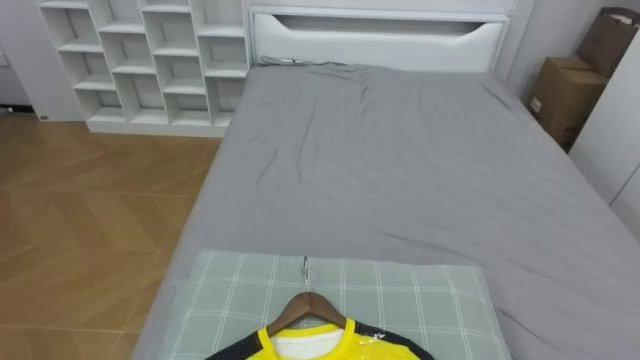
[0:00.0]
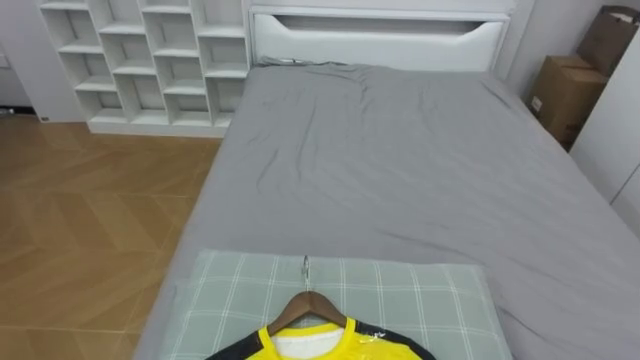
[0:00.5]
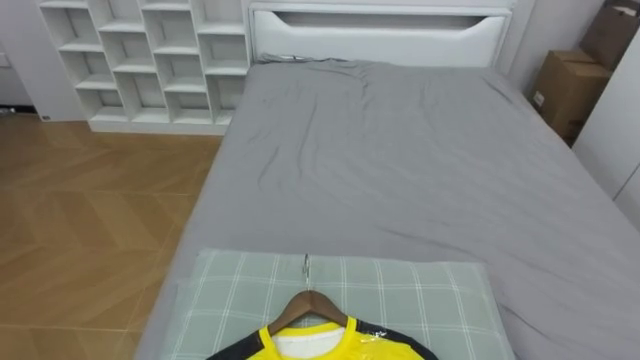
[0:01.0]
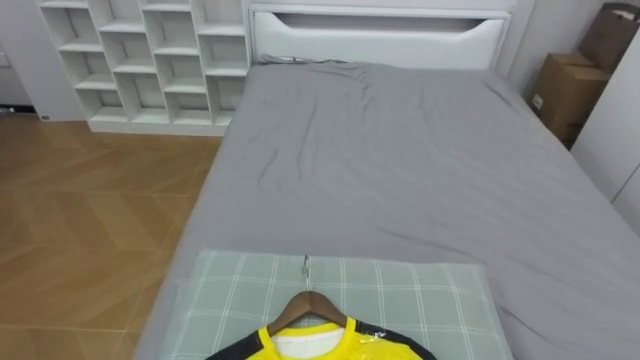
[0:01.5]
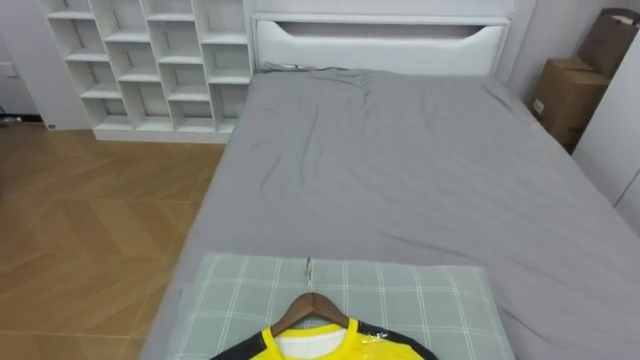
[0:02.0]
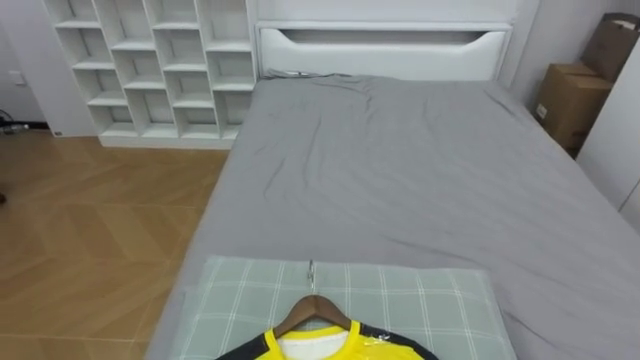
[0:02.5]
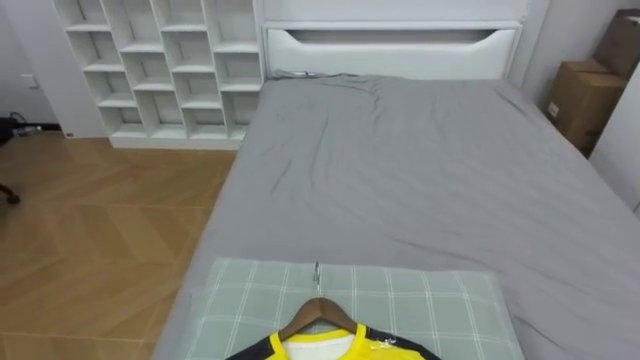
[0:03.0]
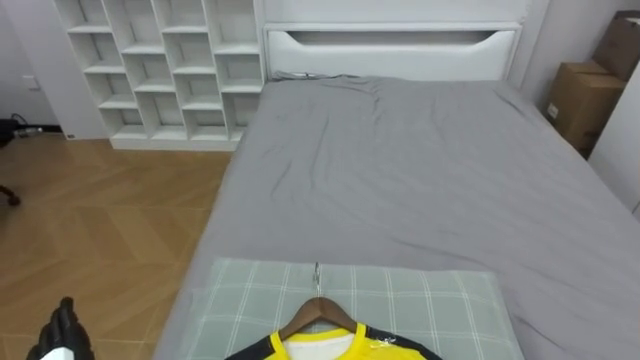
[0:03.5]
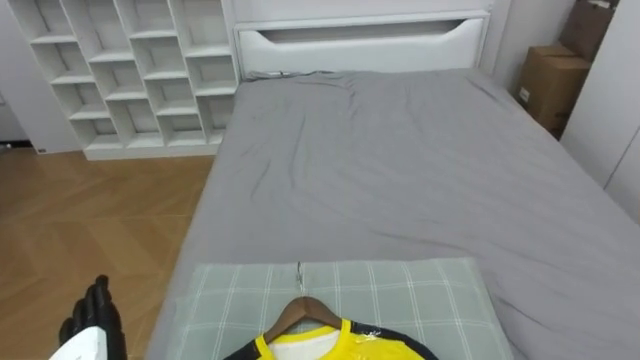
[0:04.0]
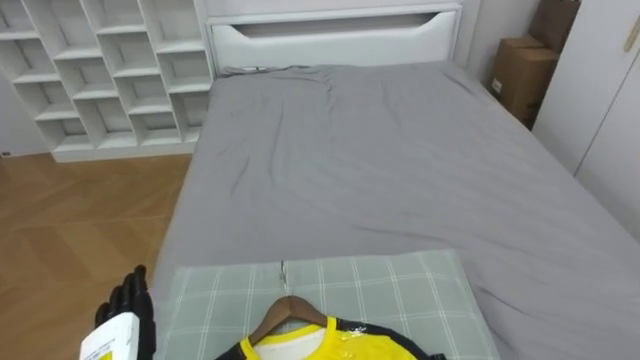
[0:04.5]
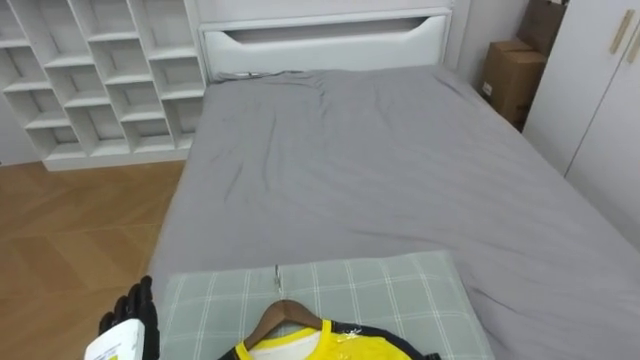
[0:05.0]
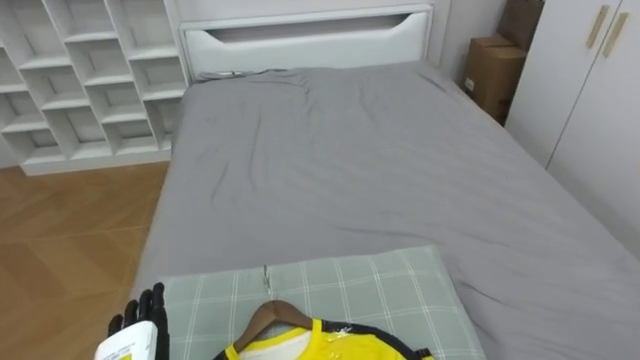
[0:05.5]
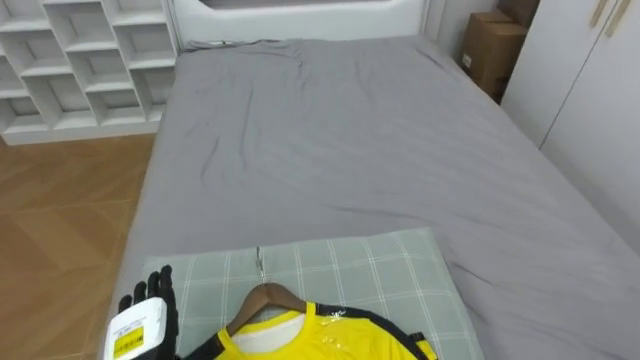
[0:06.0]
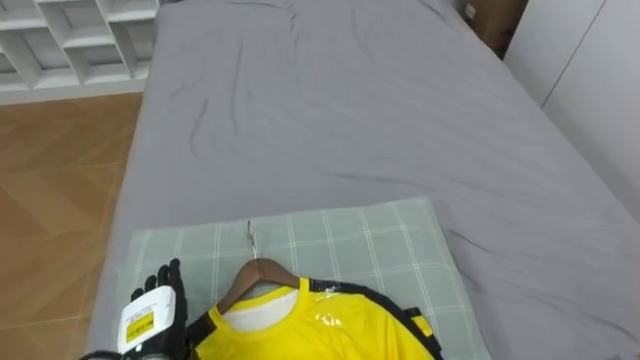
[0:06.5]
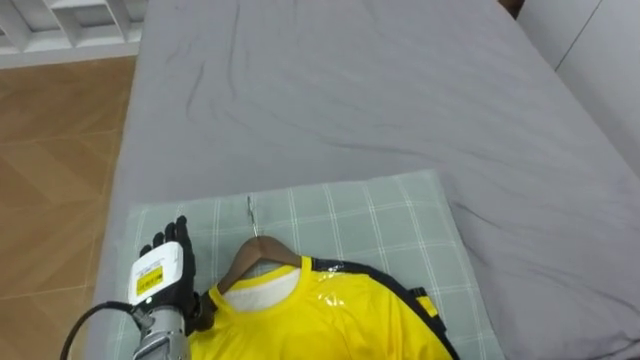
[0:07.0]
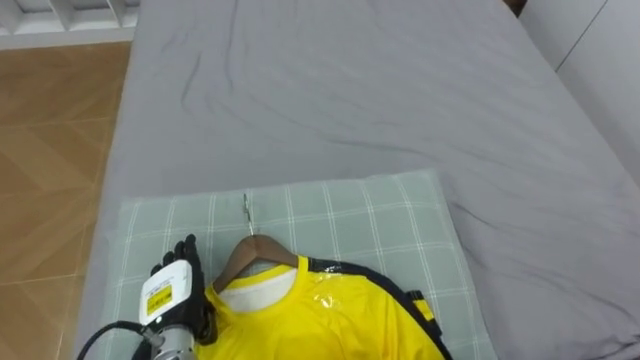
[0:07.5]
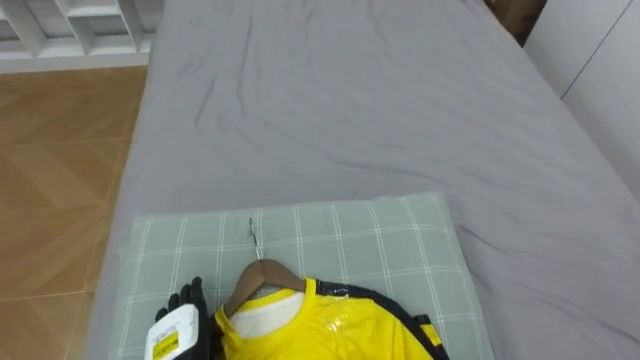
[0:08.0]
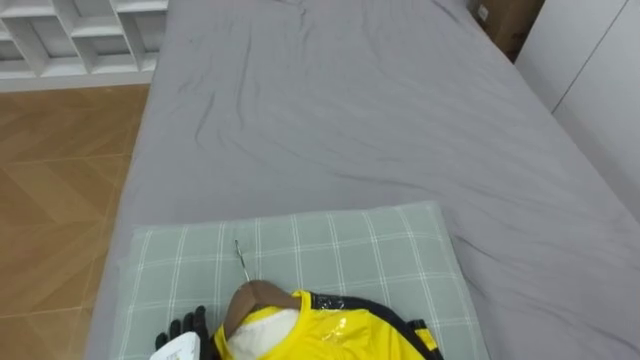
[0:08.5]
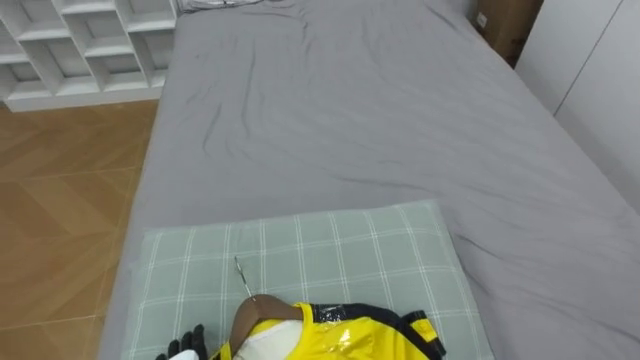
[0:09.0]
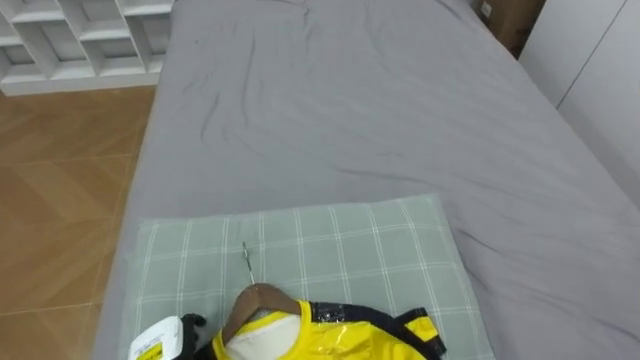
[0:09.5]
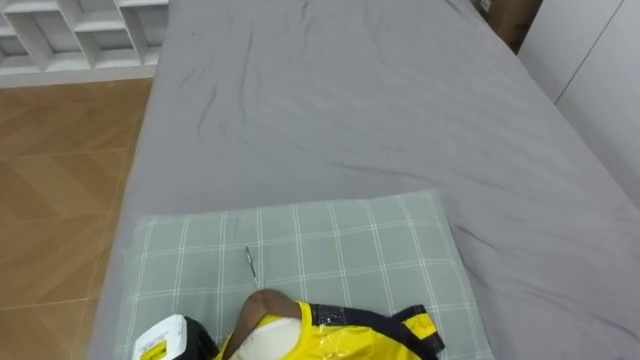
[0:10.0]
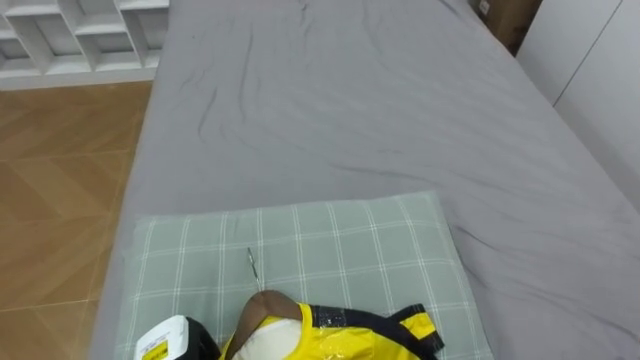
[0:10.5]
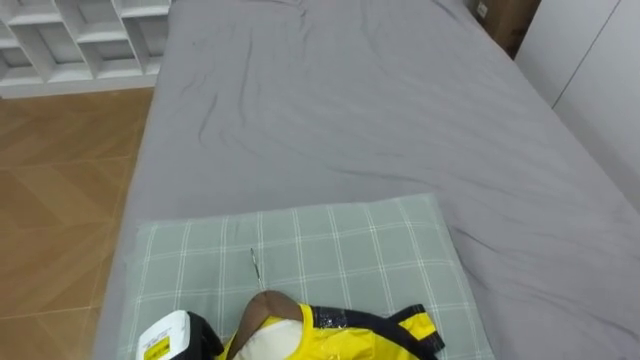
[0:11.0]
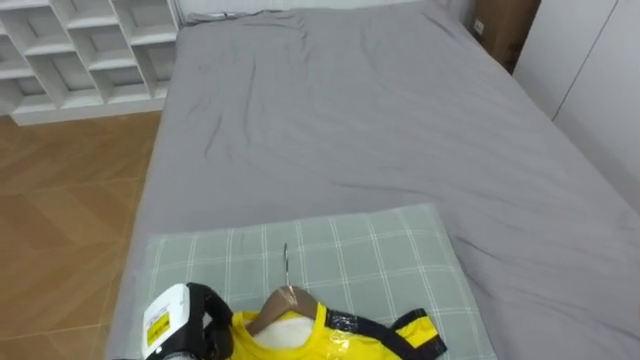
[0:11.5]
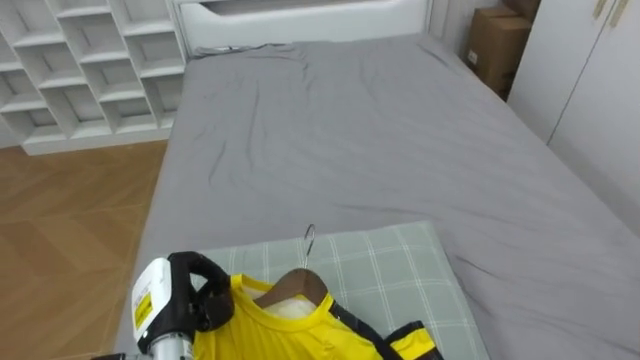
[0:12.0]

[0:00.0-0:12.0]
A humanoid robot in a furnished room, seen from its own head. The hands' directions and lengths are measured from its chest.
Task of the whole recording: Pick up the yellow shirt on the bed and hang it on the clothes rack on the right.
0:06.0 to 0:08.0: The left hand reaches about 10 cm forward, then returns.

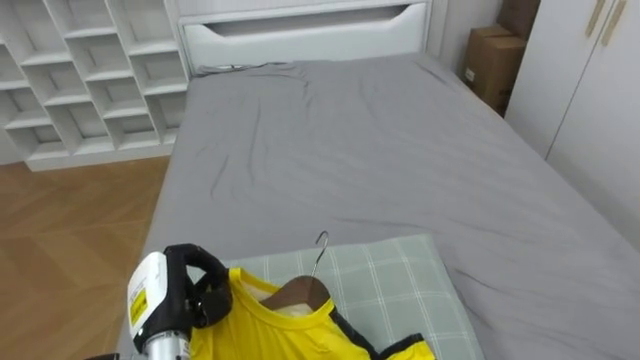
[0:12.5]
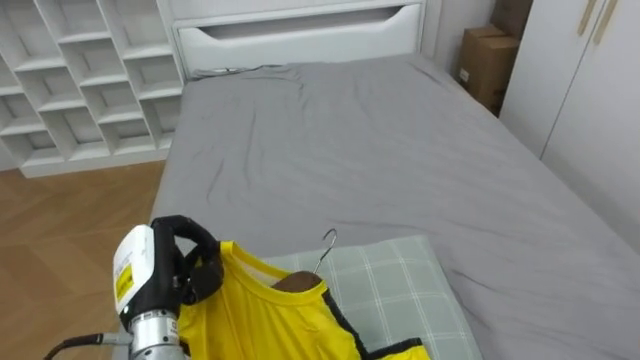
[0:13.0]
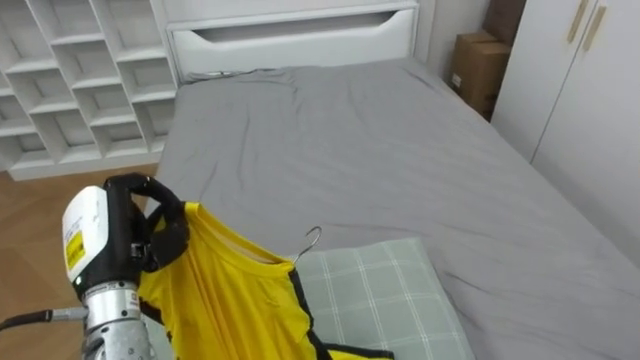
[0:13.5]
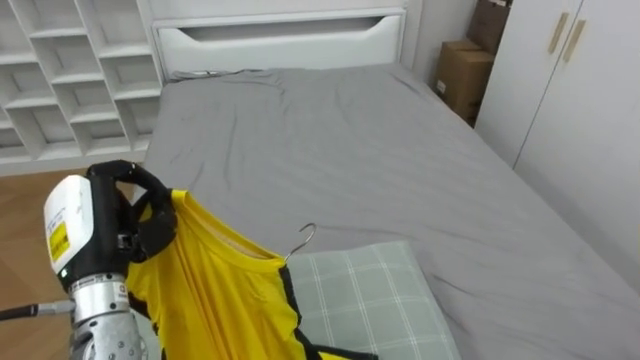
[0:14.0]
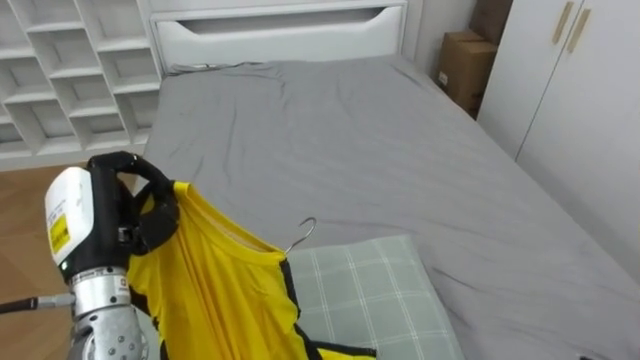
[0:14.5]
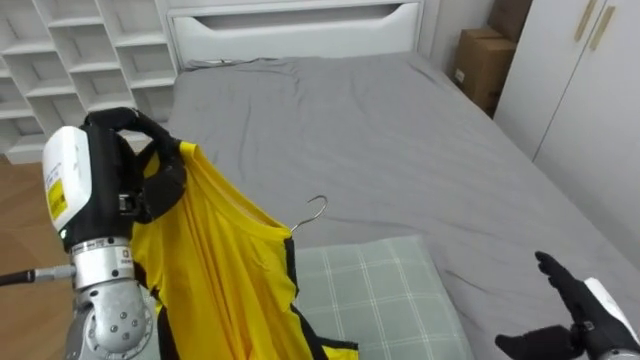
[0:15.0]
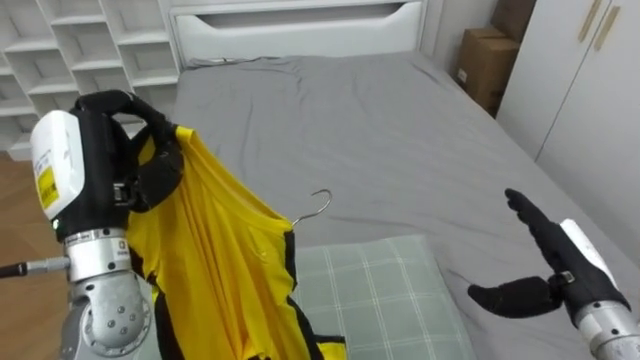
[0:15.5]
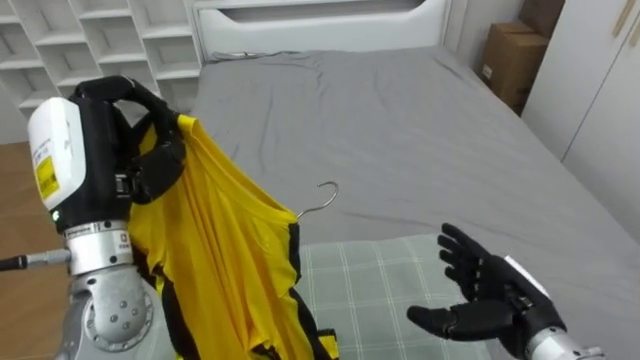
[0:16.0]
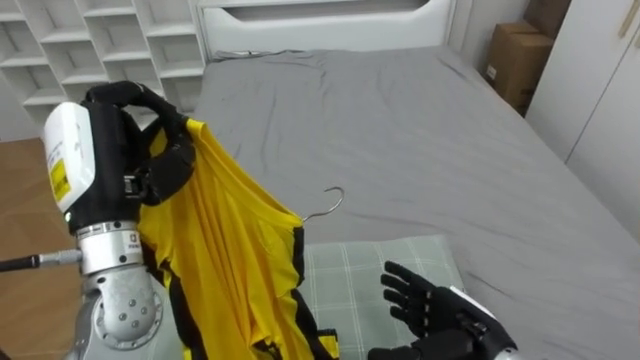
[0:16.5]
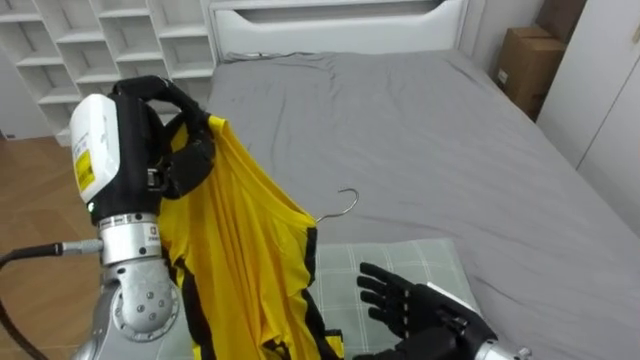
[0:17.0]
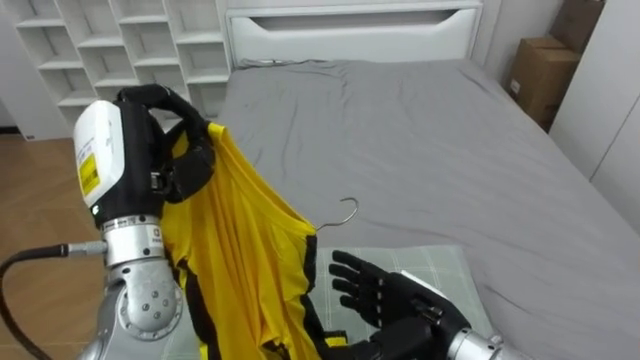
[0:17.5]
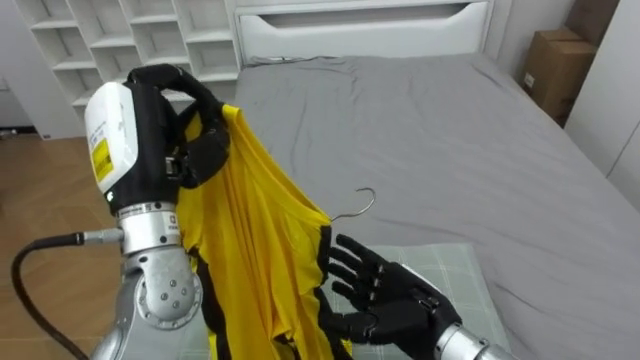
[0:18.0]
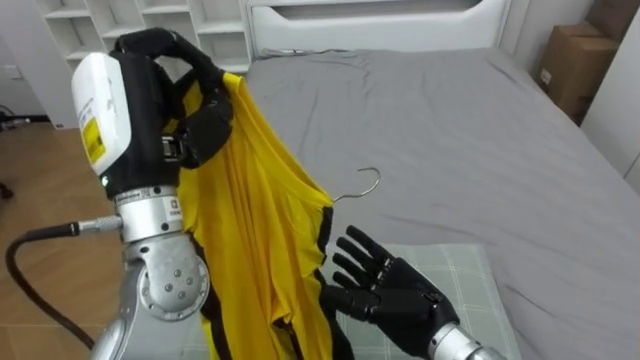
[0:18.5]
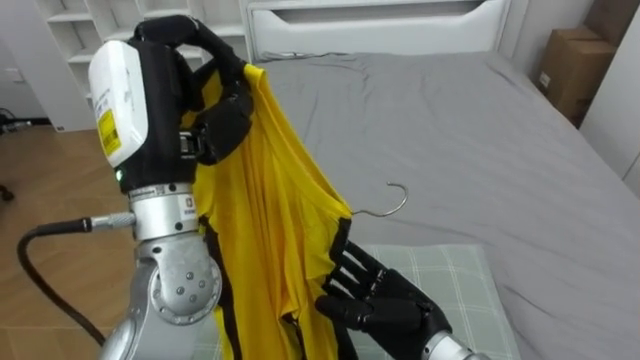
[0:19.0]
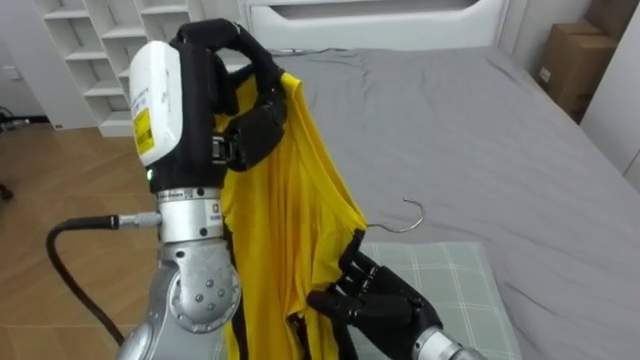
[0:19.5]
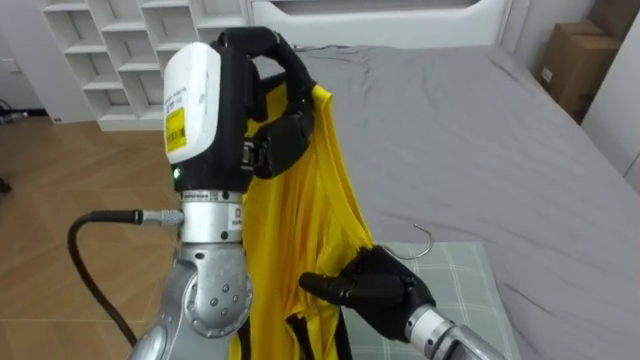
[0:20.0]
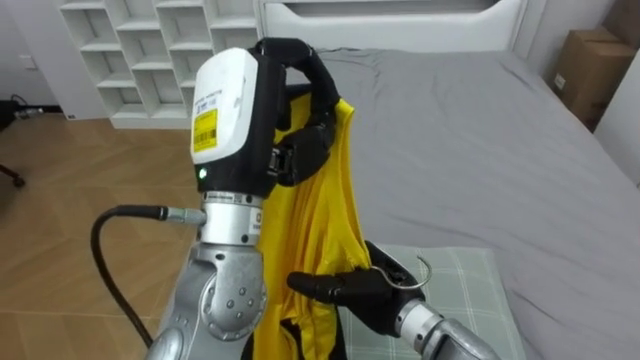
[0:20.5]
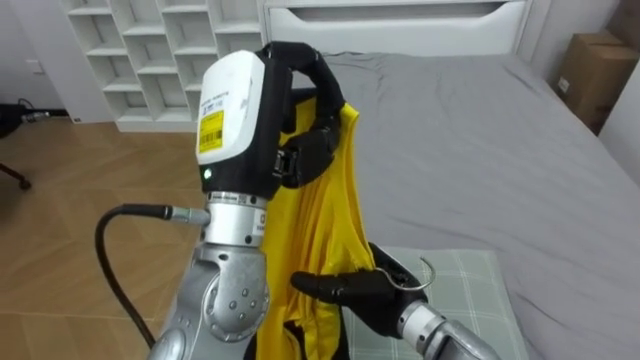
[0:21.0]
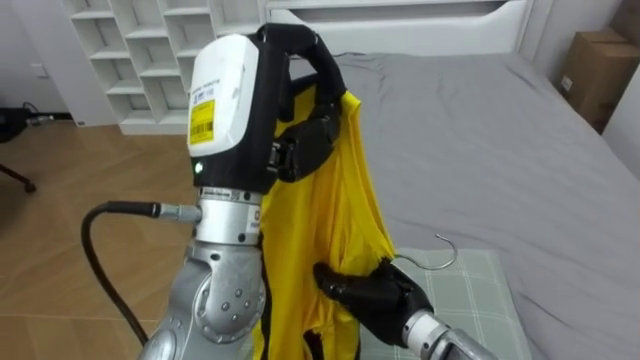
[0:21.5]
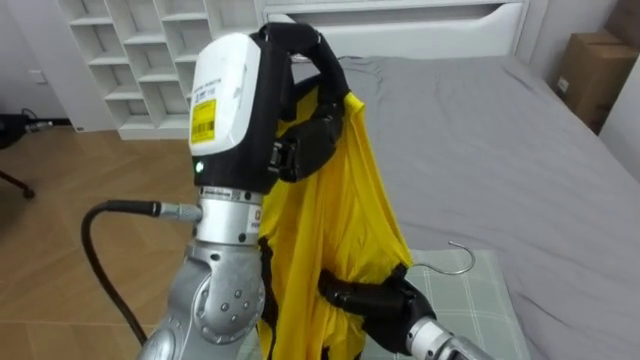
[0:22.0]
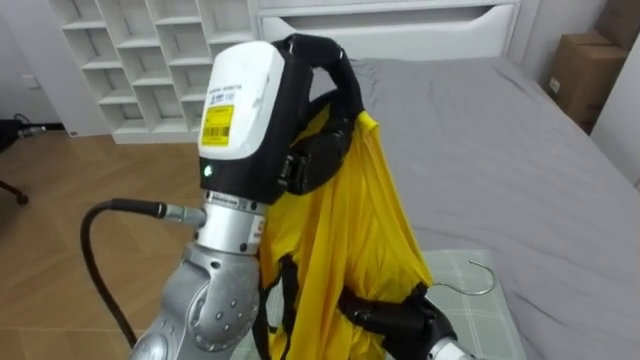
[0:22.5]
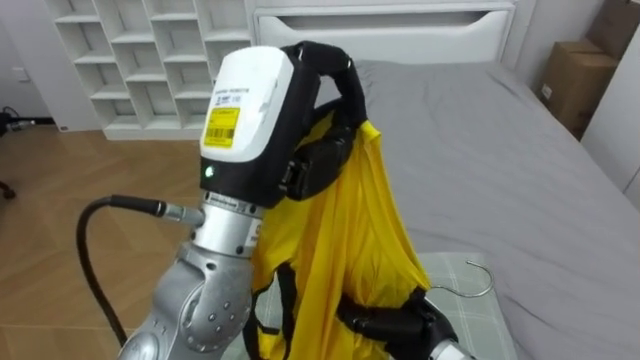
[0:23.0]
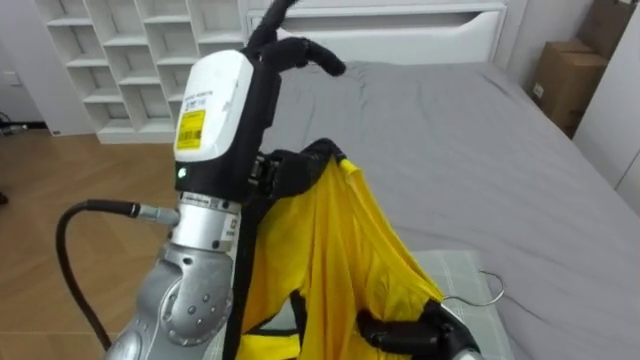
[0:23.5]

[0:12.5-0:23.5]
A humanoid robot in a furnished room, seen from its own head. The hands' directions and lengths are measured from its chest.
Task of the whole recording: Pick up the yellow shirt on the bed and hang it on the clothes rack on the right.
0:12.5 to 0:14.5: The left hand shifts about 15 cm upward.
0:14.5 to 0:16.0: The left hand travels upward by approximately 10 cm.
0:16.0 to 0:18.0: The right hand travels to the left by some 15 cm.
0:18.0 to 0:20.0: The left hand shifts some 10 cm to the right.
0:20.0 to 0:21.5: The right hand closes up.
0:21.5 to 0:23.5: The left hand opens. The right hand moves to the right and downward, about 10 cm.
